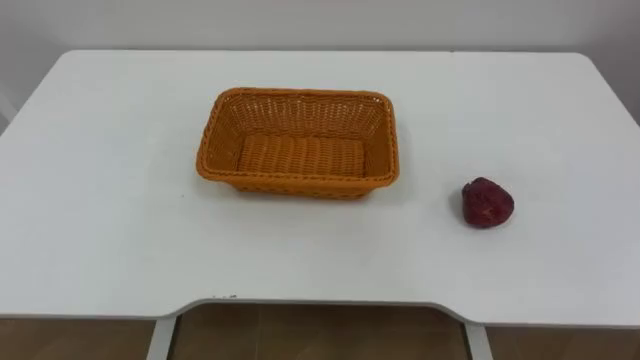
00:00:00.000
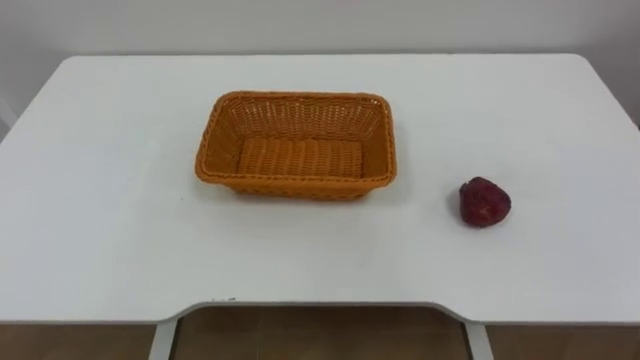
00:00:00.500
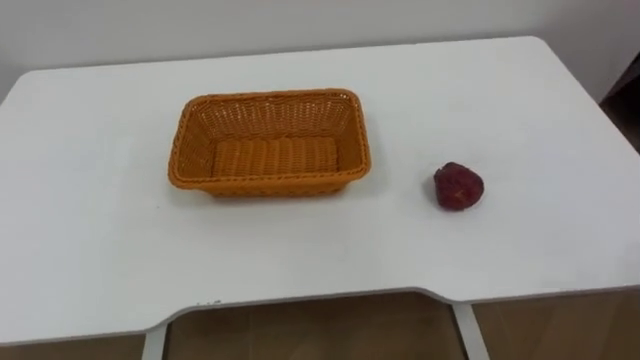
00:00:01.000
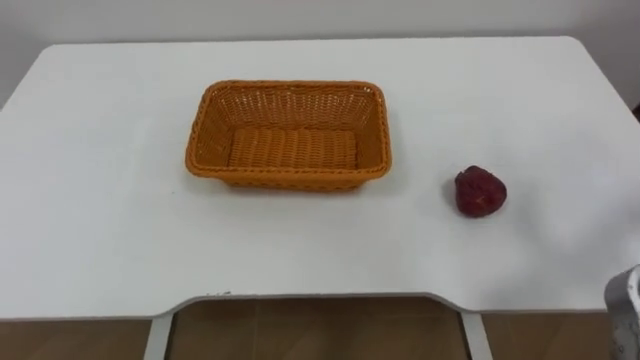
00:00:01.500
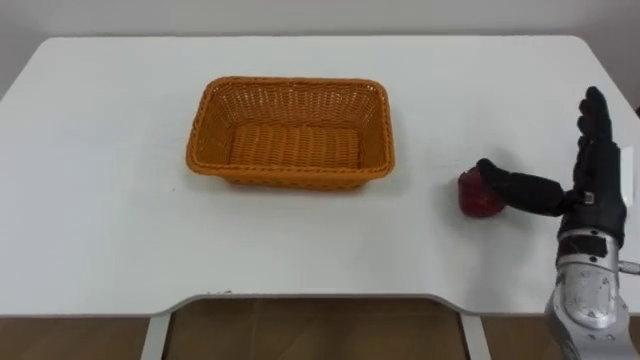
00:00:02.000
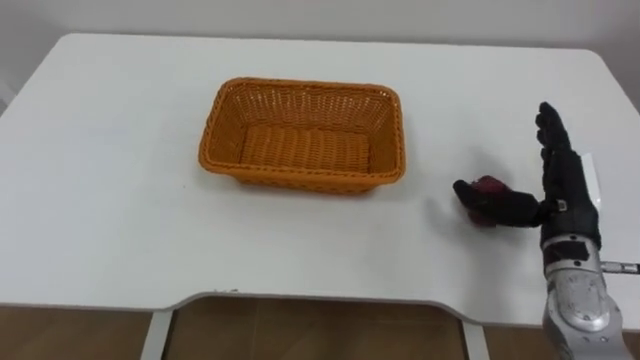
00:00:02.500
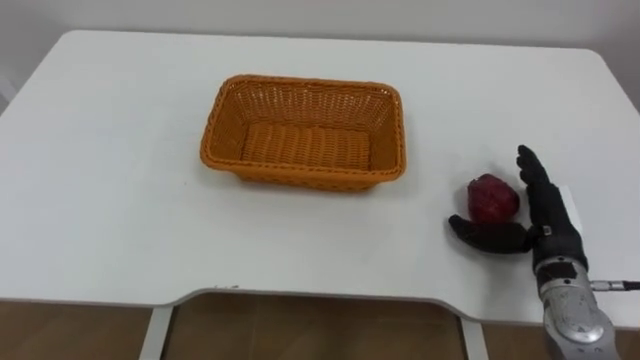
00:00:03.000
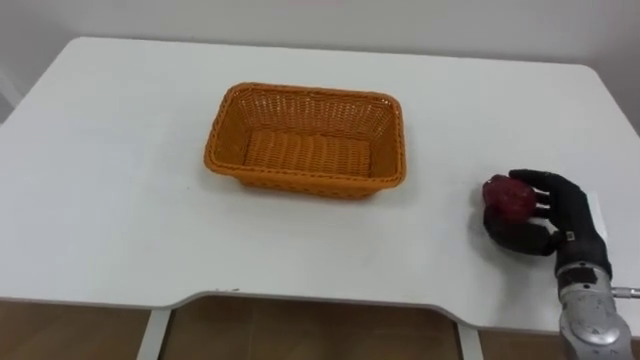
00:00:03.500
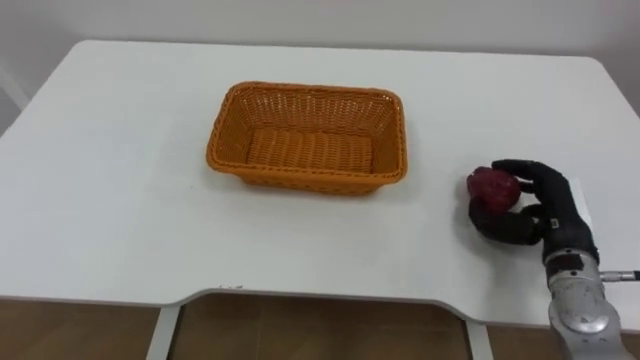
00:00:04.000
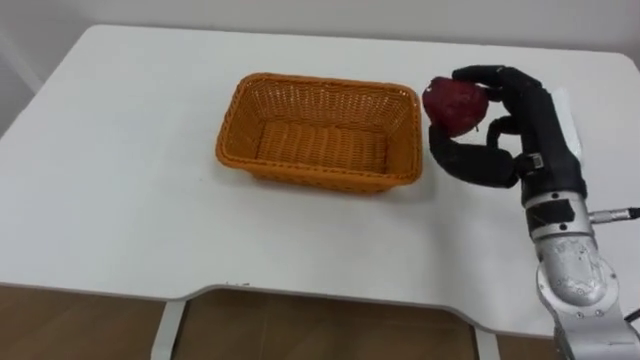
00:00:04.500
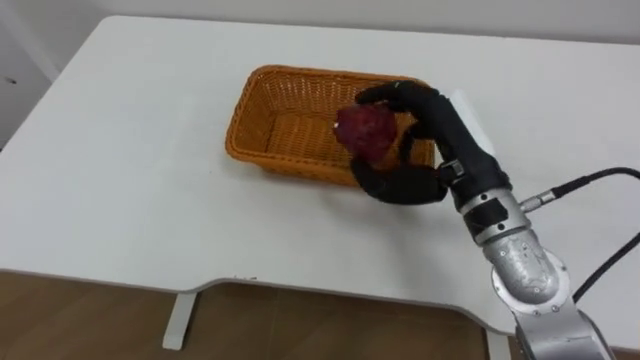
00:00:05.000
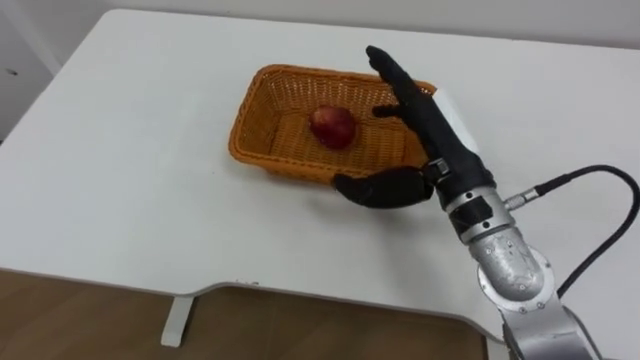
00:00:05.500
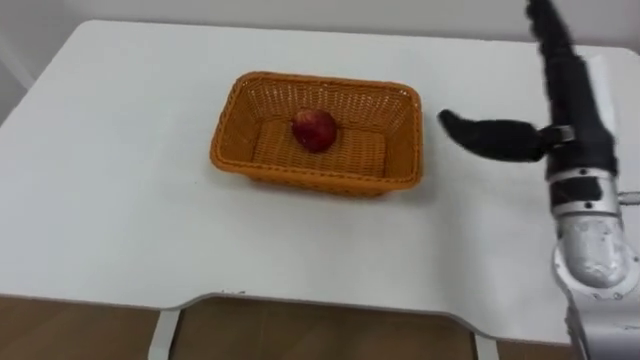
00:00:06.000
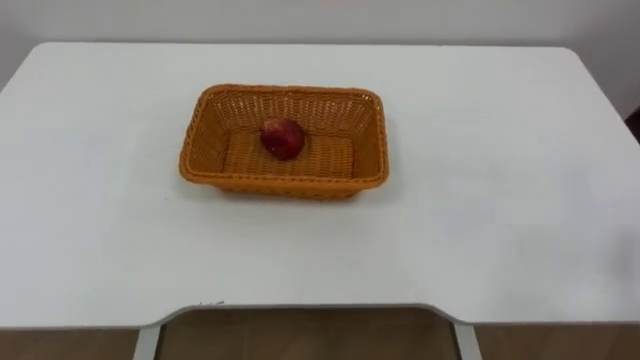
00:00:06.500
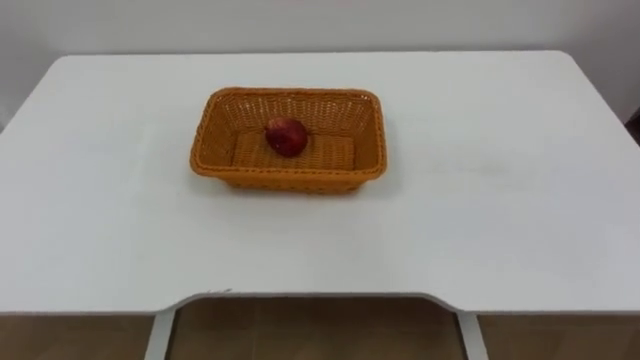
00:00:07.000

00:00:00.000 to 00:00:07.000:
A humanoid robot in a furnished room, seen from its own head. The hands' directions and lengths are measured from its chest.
Task of the whole recording: Pick the apple and place it in the box.
00:00:02.000 to 00:00:03.500: The right hand is displaced downward by some 10 cm, and closes.
00:00:03.500 to 00:00:05.000: The right hand heads to the left and upward, covering about 20 cm.
